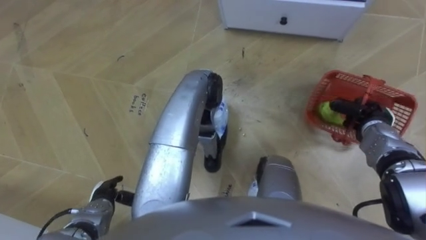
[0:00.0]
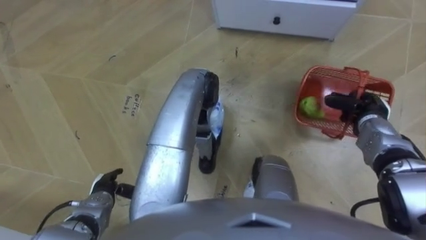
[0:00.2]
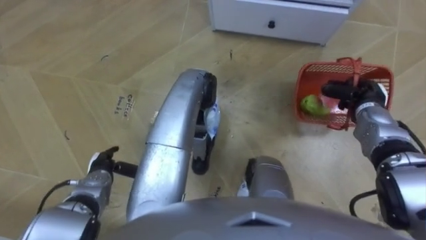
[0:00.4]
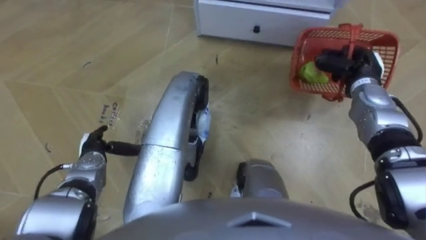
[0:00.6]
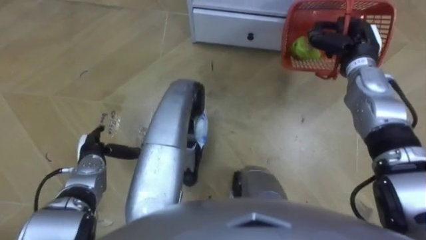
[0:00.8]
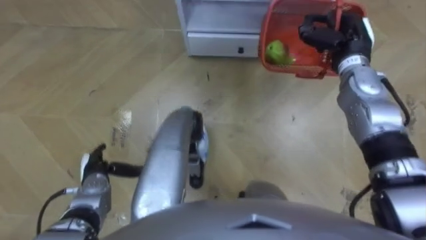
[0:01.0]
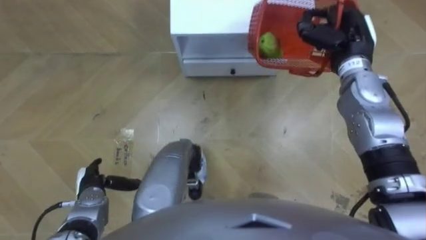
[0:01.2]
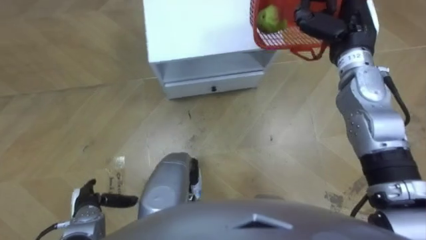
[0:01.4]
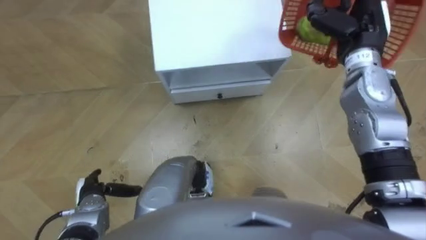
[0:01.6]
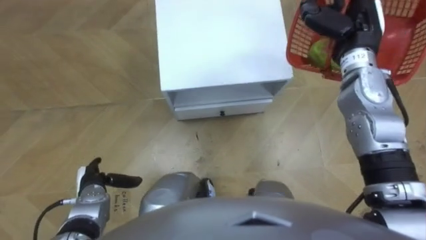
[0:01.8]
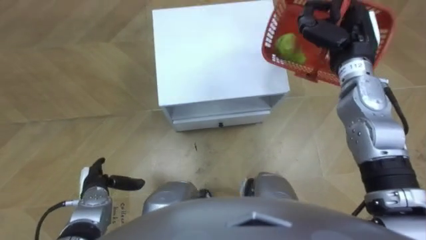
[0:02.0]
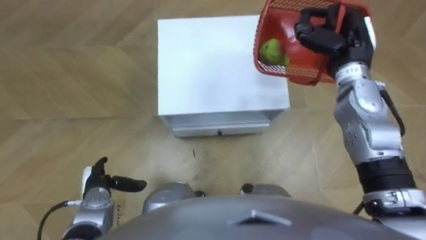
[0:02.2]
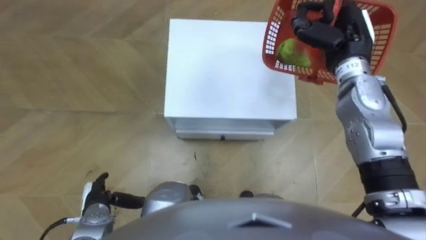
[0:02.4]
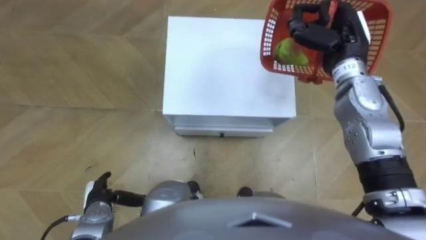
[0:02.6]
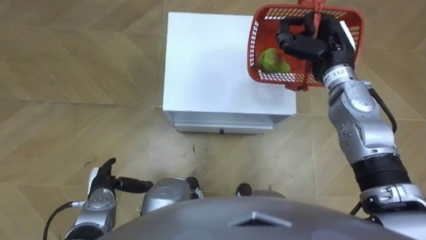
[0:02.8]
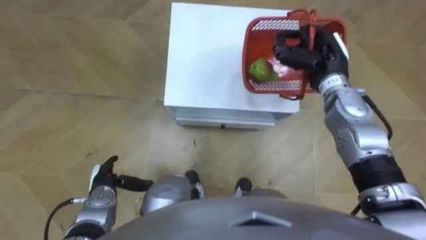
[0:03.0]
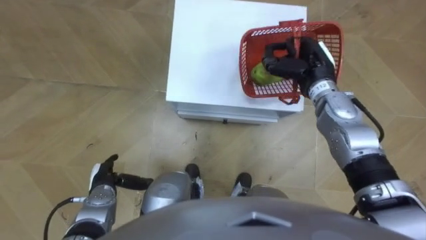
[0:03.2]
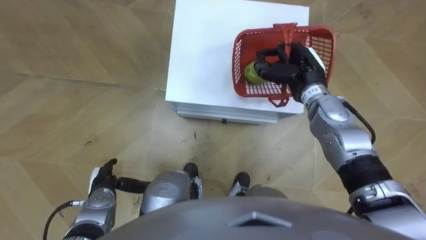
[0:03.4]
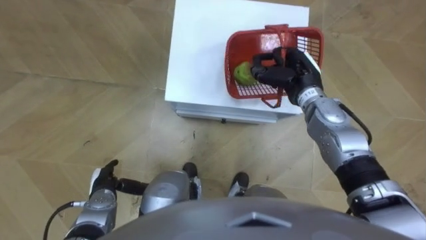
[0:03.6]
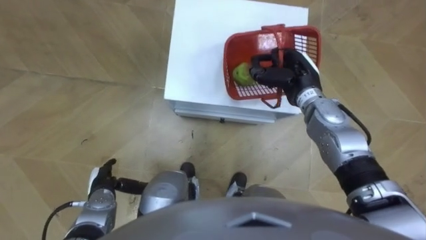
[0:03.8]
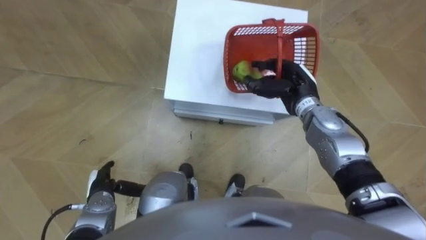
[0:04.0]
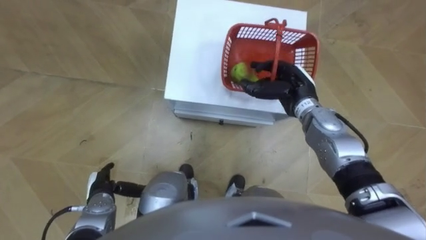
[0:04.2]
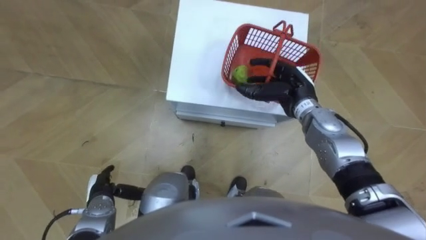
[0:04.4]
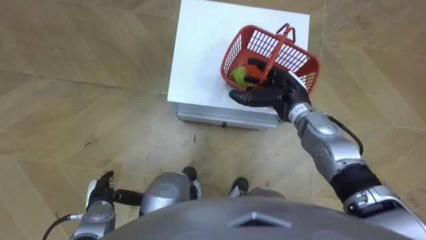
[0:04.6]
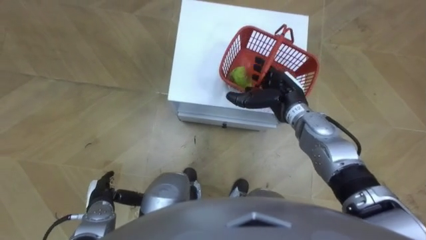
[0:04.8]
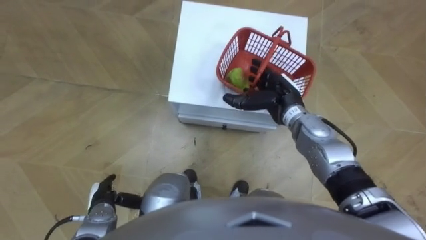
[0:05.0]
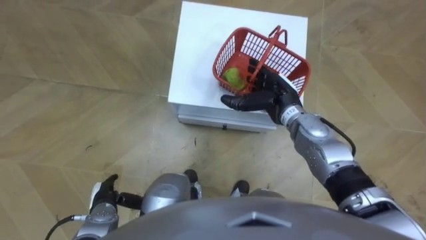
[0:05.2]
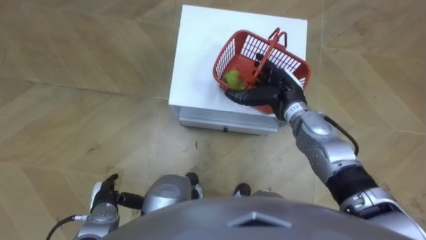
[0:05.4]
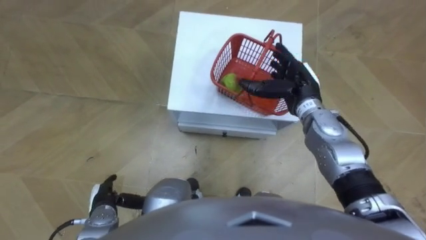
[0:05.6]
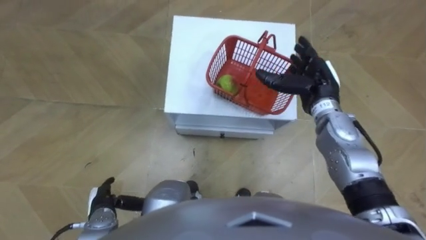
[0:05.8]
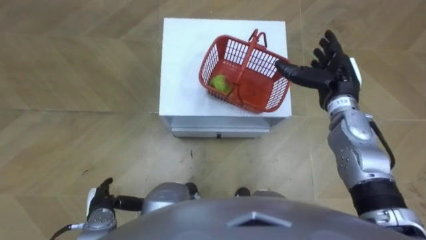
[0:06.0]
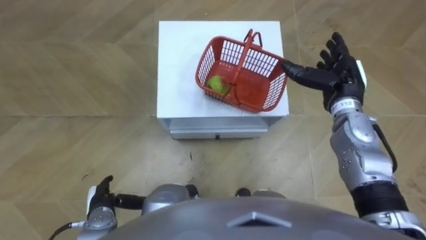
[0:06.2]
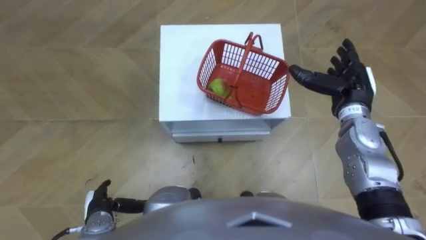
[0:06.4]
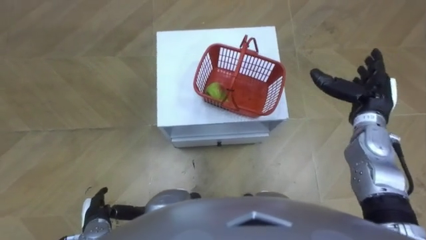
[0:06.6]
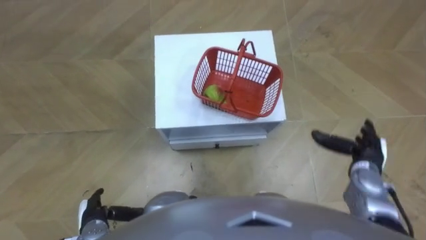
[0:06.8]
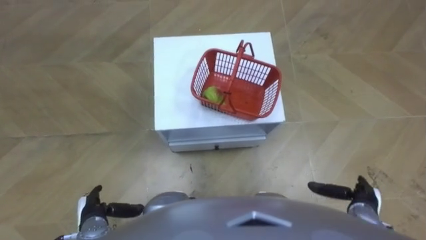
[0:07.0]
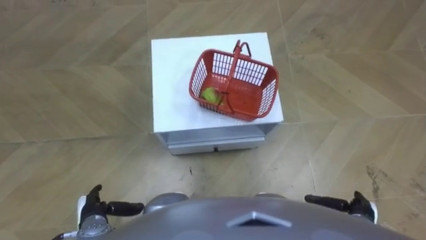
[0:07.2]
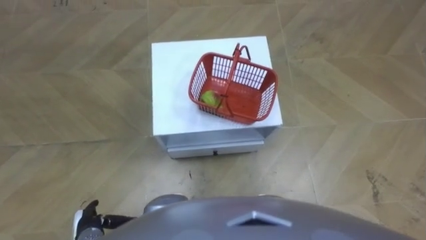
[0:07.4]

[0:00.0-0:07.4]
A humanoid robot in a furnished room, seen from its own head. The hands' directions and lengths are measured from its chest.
Task of the whole recording: Pick up the fruit basket from the floor and place it on the cabinet.
0.0 to 1.4 s: The robot faces some 20 degrees further to its right. The left hand moves some 10 cm forward and comes back, while the right hand is displaced upward, to the left and forward by some 25 cm.
1.4 to 3.0 s: The left hand ends up some 5 cm from where it was, while the right hand is displaced downward by approximately 5 cm.
3.0 to 4.4 s: The right hand heads downward, covering approximately 5 cm, and opens its fingers.
4.4 to 6.0 s: The right hand travels to the right by some 10 cm.
6.0 to 7.4 s: The right hand travels backward and downward by about 35 cm.

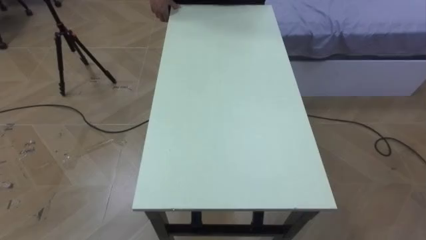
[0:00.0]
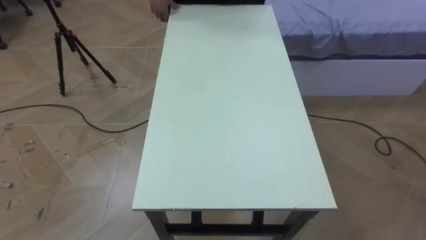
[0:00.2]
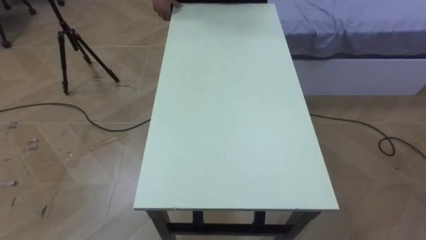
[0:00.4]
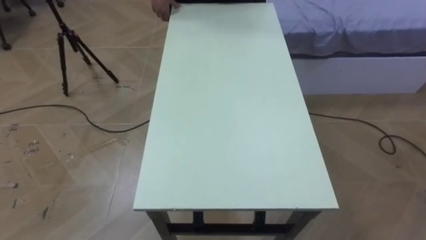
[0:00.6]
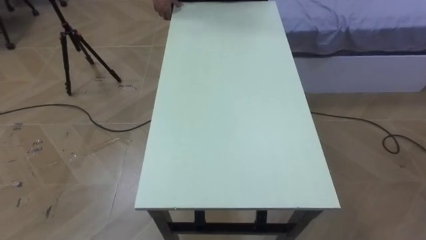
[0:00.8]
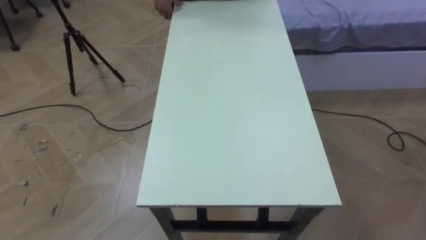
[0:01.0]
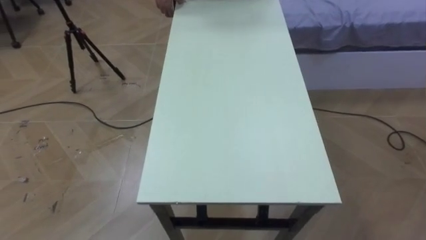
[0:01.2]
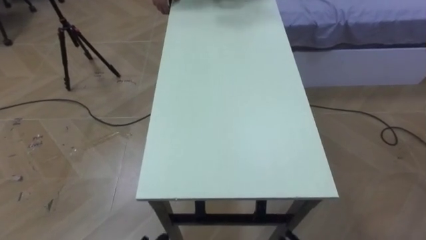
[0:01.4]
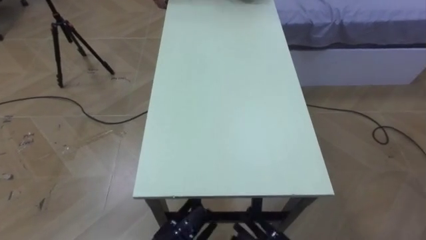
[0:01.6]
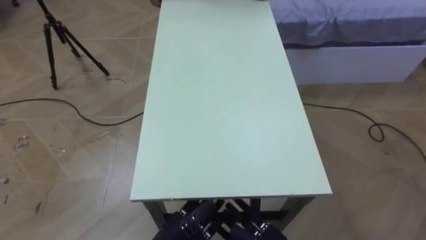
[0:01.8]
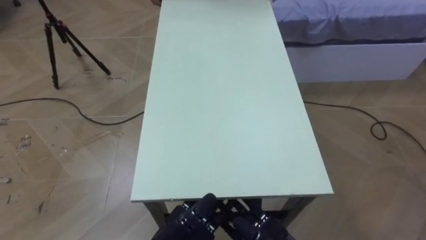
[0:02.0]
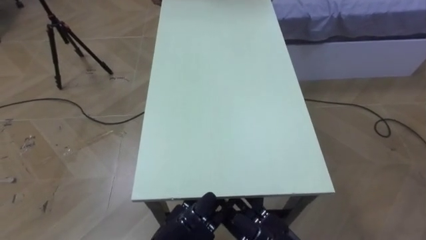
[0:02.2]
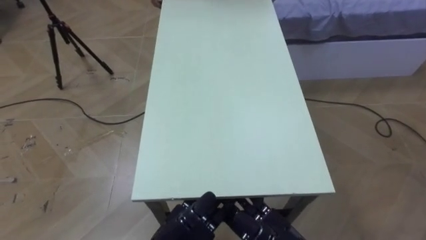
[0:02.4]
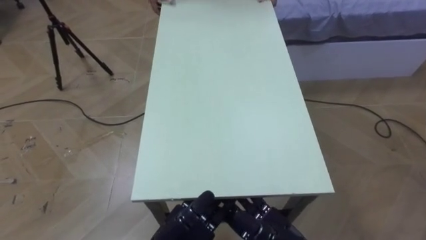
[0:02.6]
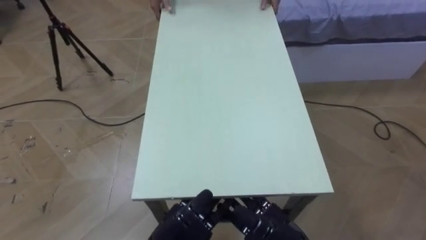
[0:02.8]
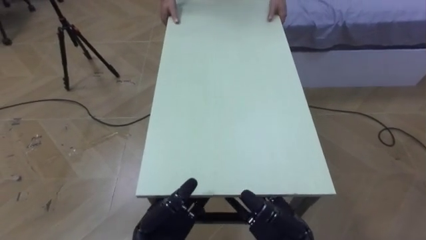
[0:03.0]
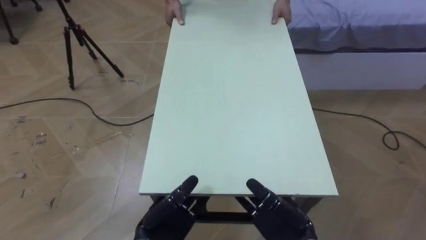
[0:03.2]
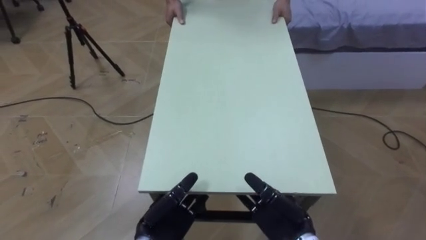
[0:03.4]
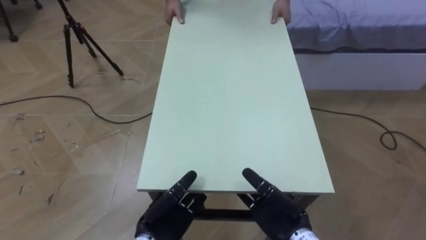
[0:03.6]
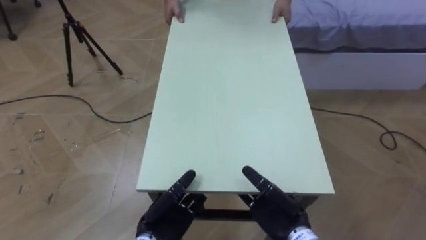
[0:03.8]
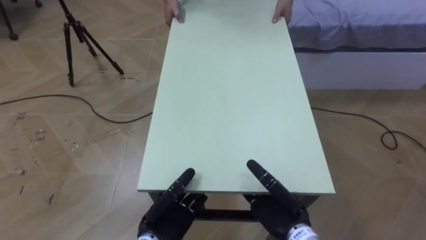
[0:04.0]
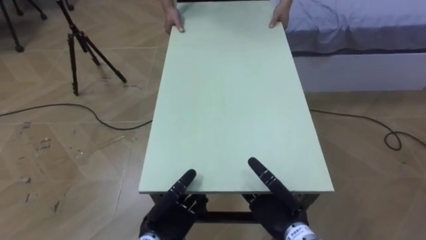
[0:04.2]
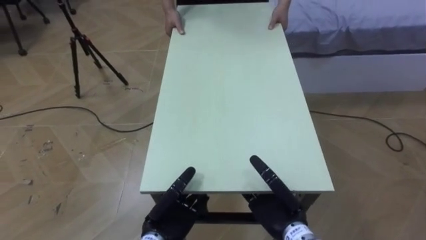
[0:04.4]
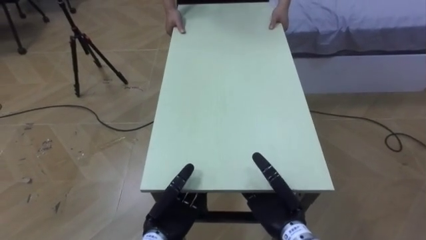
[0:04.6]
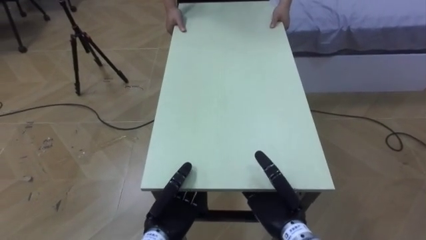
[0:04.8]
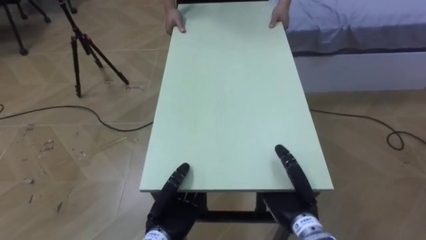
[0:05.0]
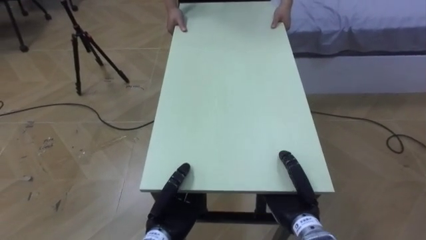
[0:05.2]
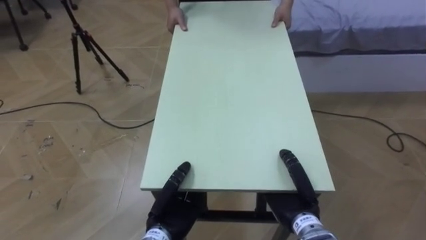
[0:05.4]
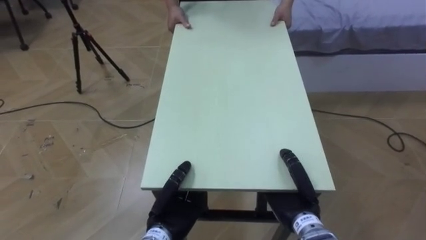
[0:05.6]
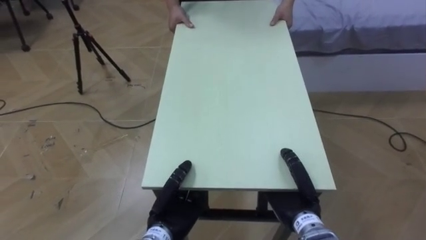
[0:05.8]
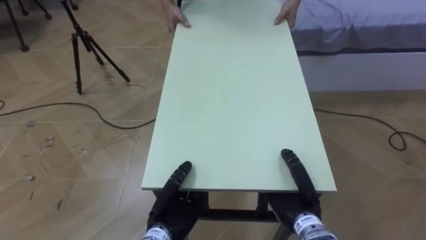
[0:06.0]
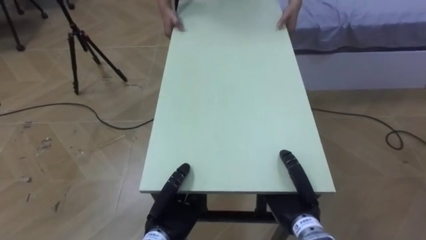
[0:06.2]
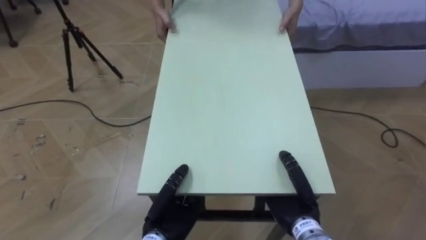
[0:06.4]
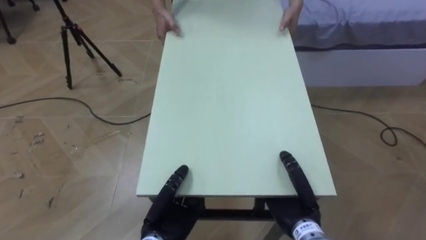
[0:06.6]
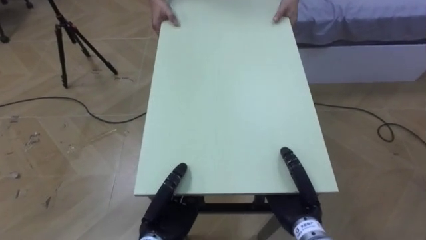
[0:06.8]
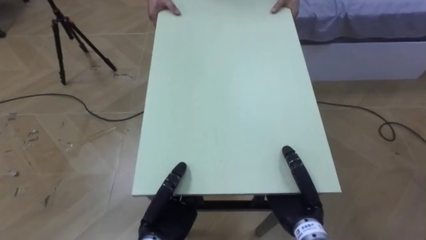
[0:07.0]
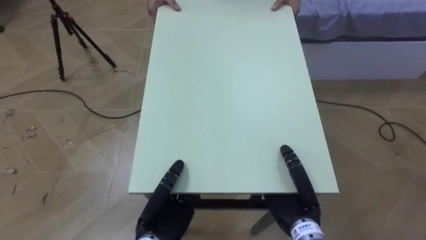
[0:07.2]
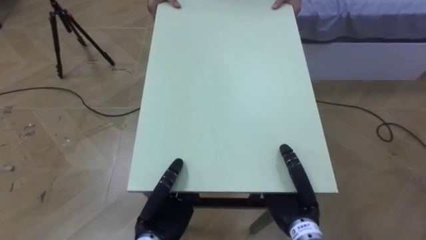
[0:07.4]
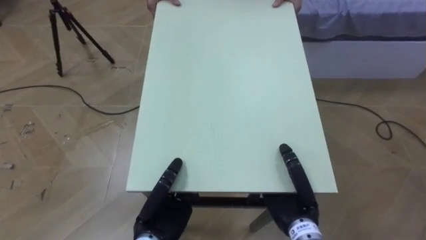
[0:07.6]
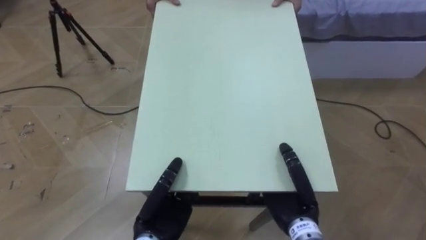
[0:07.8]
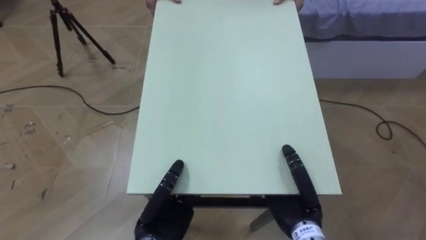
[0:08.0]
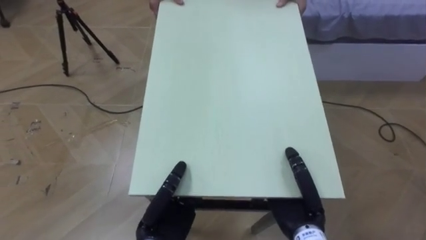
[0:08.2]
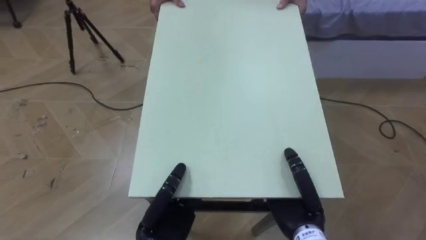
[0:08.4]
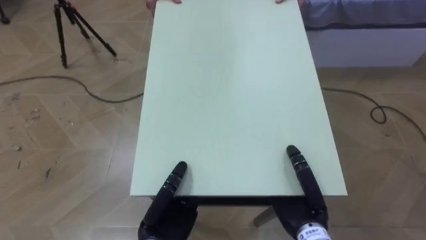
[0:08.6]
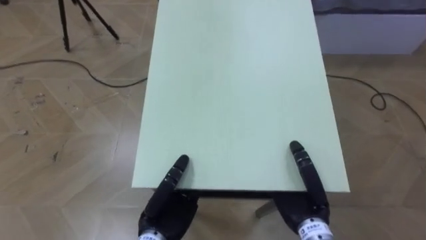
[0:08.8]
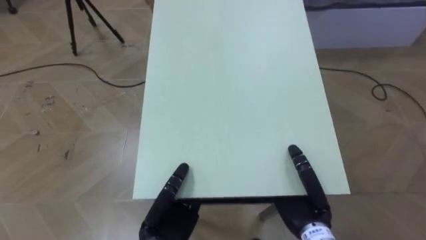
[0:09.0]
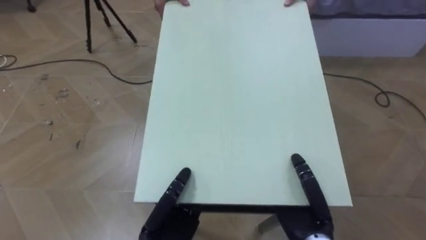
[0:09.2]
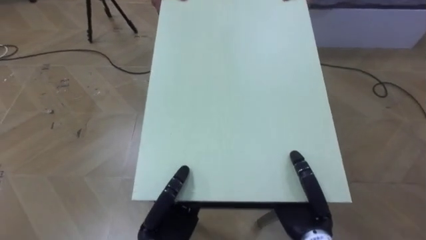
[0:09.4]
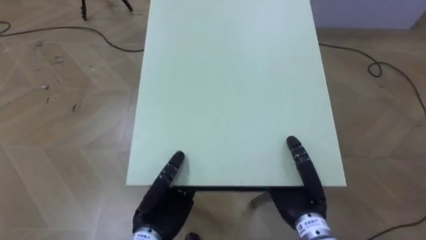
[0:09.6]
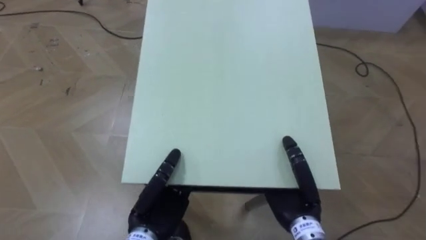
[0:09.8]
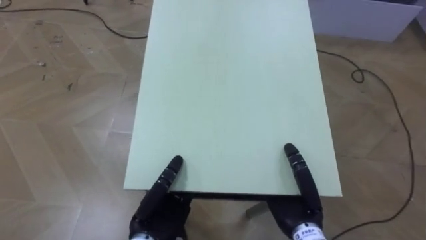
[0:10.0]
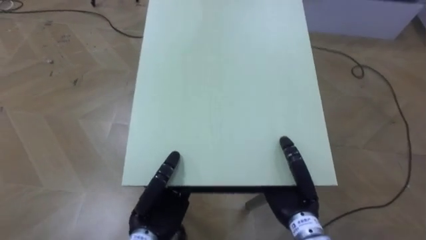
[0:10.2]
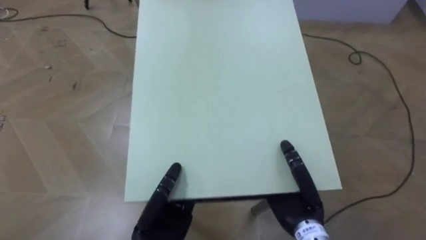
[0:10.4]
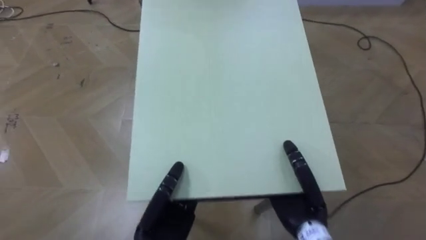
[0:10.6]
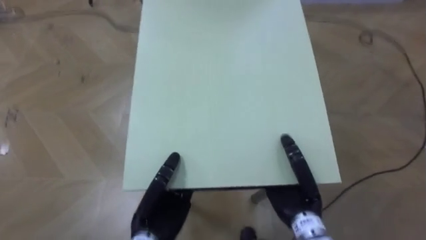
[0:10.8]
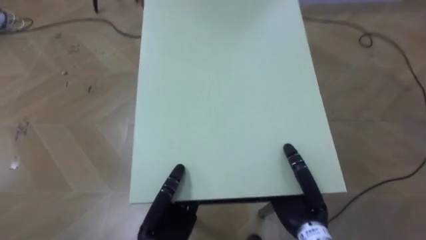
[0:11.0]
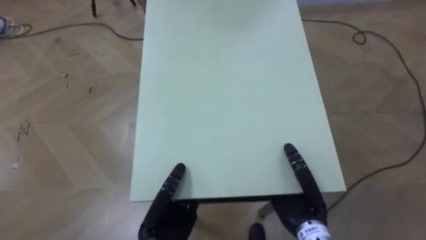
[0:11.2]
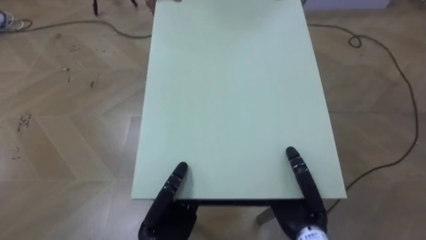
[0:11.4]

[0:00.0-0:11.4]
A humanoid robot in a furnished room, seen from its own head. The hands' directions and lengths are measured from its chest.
Task of the whole recording: Move the table to the back left with someone.
2.8 to 4.2 s: The left hand moves approximately 5 cm; the right hand travels forward by approximately 5 cm.
4.2 to 5.6 s: The left hand closes its fingers; the right hand closes up.
